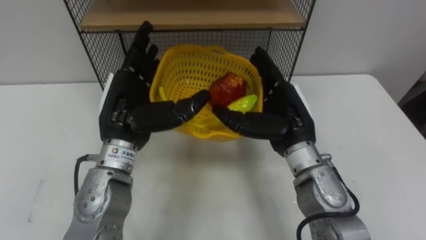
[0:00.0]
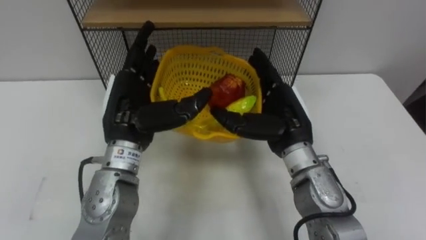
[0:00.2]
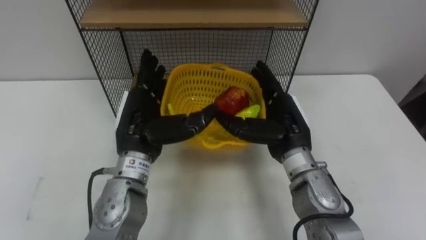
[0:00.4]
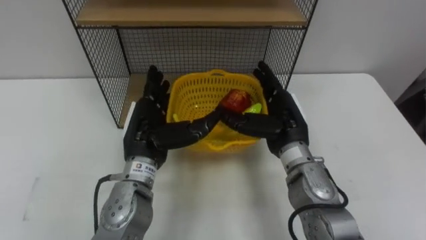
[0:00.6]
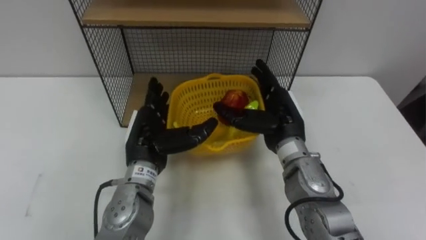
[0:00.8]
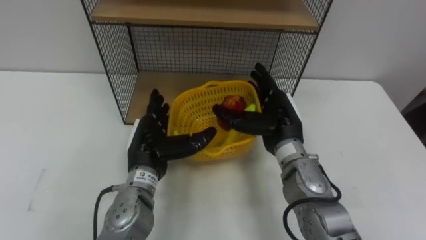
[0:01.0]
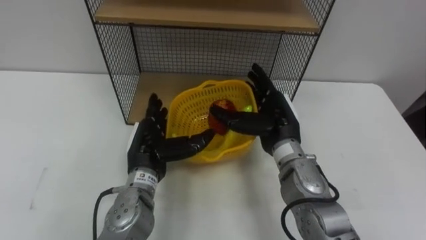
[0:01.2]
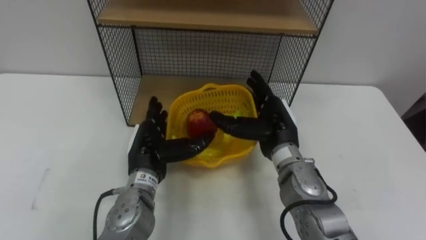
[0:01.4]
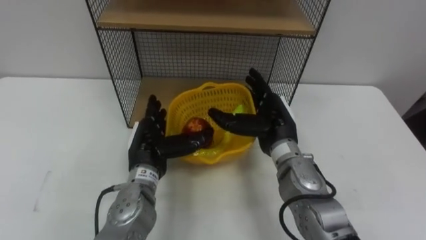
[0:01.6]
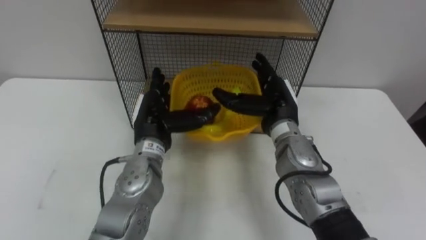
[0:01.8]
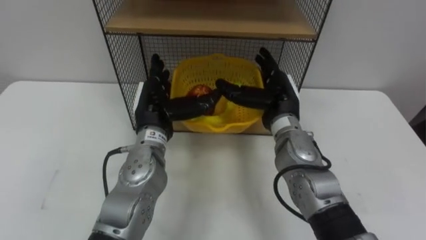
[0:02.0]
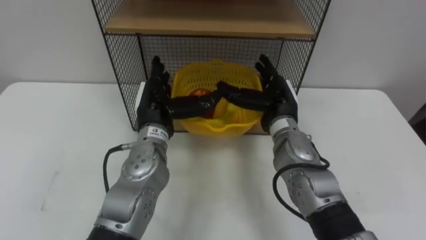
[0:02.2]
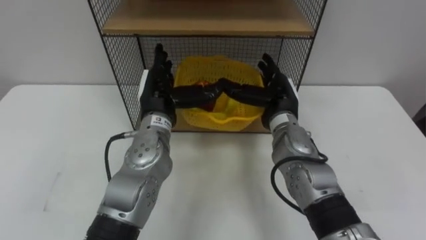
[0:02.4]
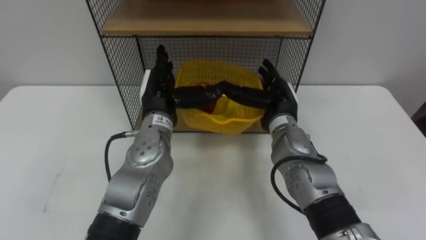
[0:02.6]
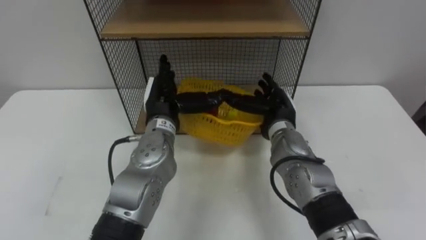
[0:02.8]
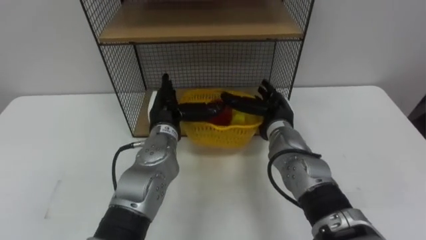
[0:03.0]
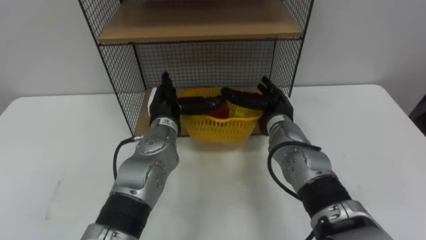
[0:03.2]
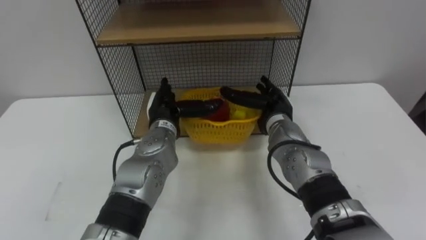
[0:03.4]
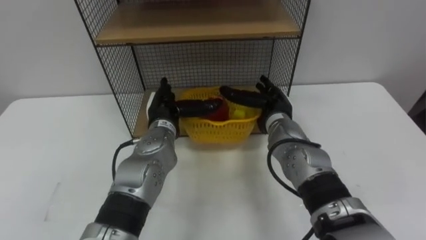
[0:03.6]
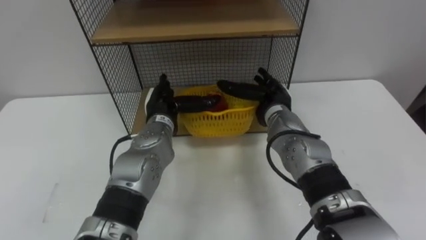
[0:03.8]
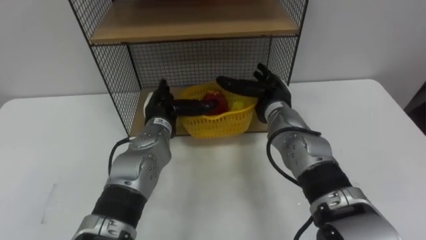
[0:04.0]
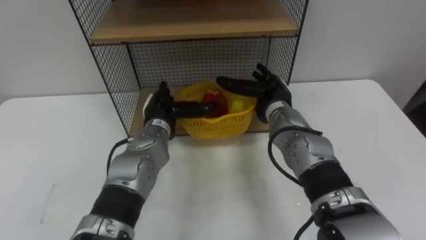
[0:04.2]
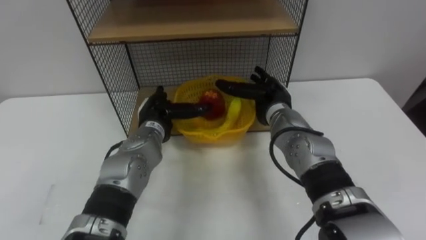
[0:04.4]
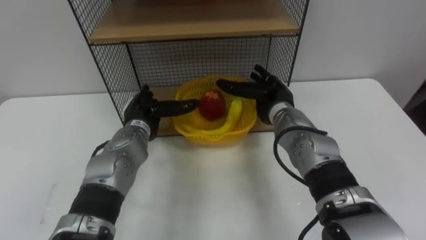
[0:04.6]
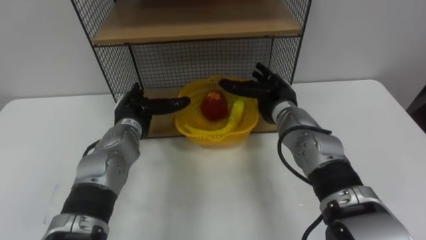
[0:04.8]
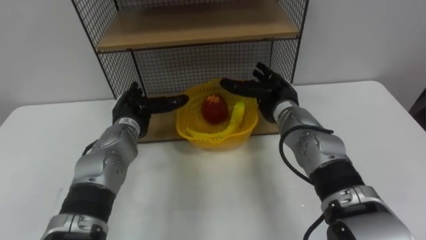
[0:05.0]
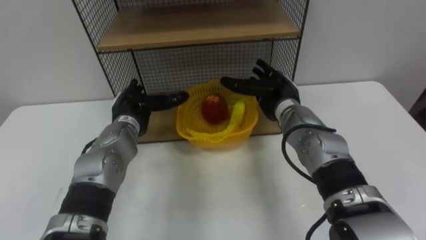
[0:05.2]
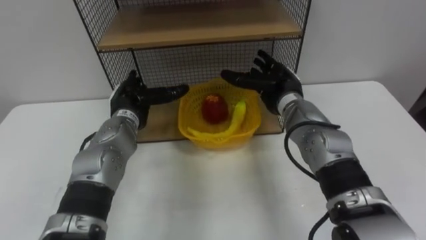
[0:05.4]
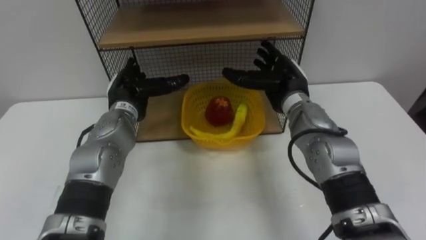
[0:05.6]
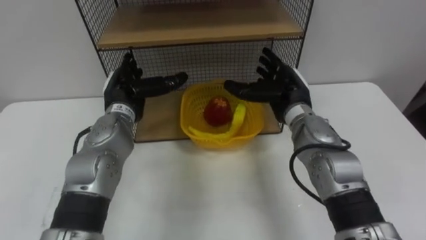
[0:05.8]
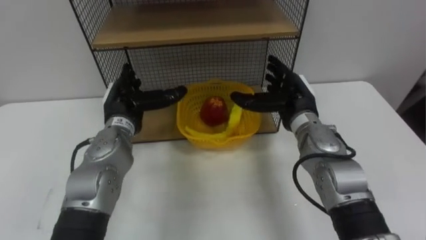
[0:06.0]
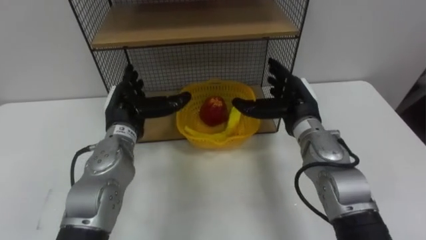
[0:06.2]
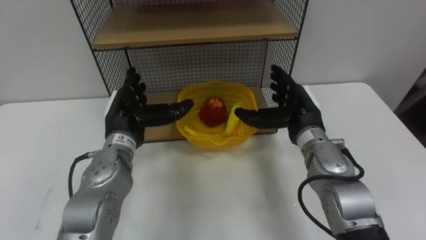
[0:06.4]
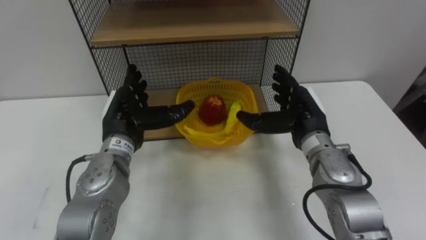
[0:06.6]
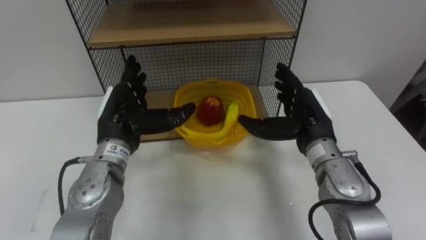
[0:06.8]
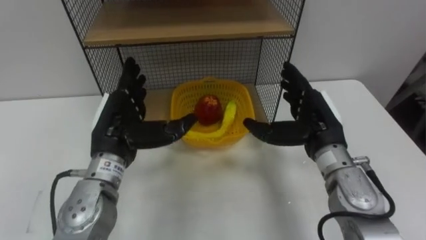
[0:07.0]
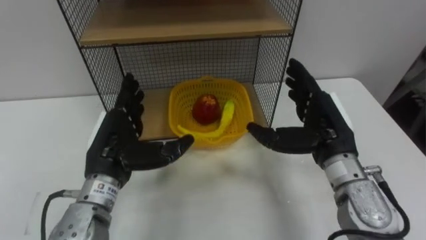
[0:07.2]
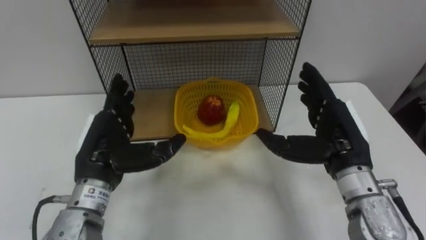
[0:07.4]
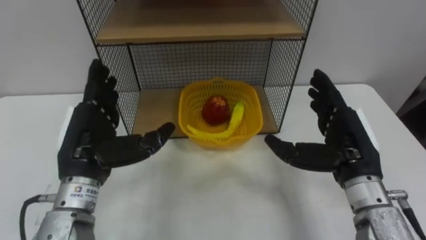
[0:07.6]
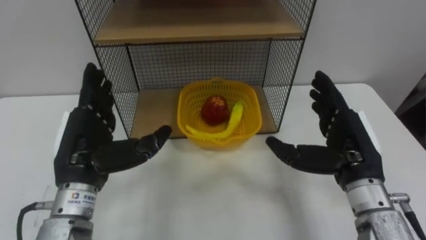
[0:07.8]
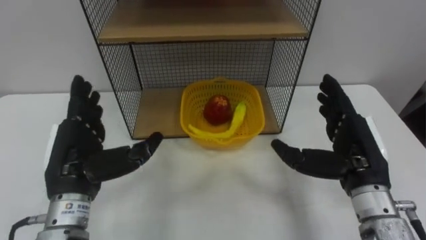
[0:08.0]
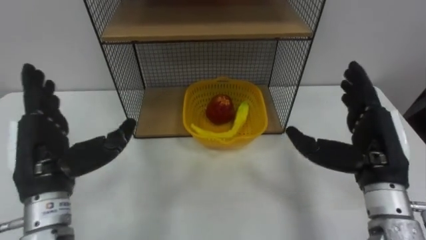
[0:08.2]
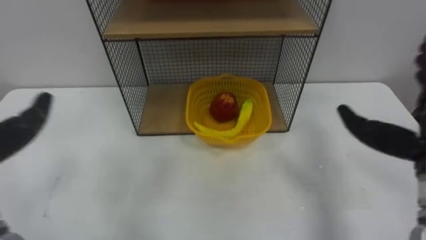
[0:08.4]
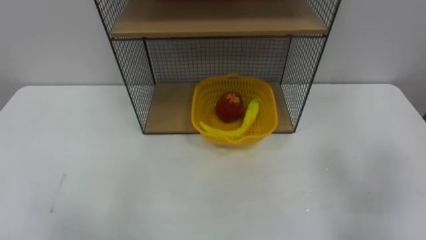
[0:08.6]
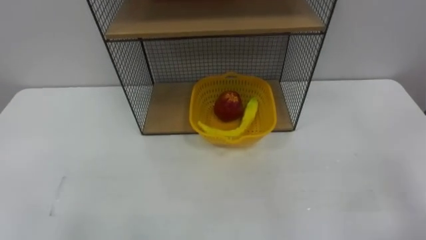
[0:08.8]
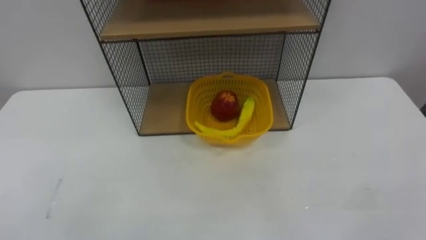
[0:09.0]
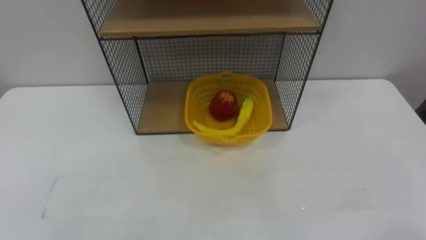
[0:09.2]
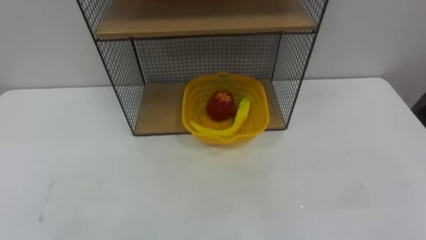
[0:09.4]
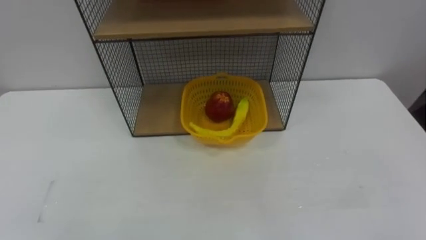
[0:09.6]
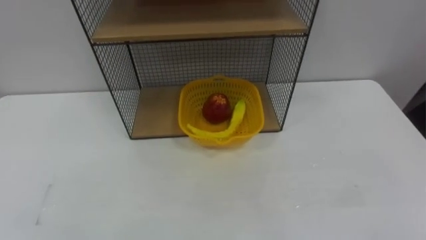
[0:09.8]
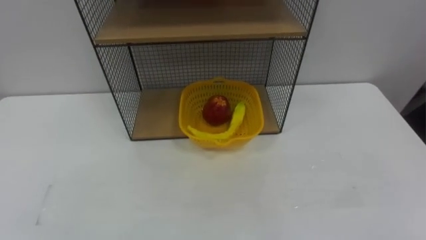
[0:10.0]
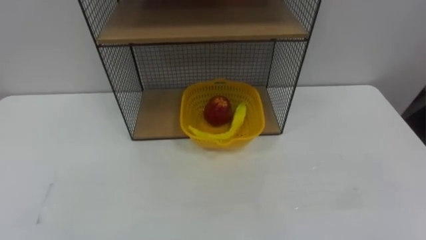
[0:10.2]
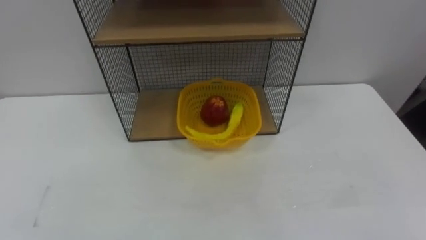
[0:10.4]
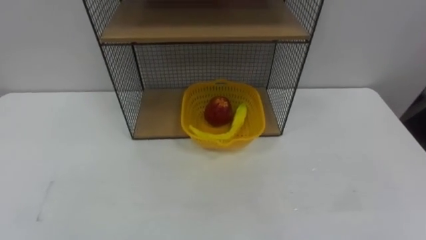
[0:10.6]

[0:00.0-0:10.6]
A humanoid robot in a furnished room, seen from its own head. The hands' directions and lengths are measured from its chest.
Task of the whole recording: Put the fruit on the table into the basket, then place the basket on the shelf.
0:00.0 to 0:01.6: The right hand changes place by roughly 5 cm. The left hand travels downward by roughly 10 cm.
0:01.6 to 0:03.0: The right hand moves approximately 5 cm; the left hand shifts some 5 cm forward.
0:03.0 to 0:04.6: The left hand ends up about 5 cm from where it was.
0:04.6 to 0:06.0: The right hand moves approximately 5 cm, while the left hand changes place by about 5 cm.
0:06.0 to 0:07.6: The right hand moves backward and to the right, about 15 cm. Meanwhile the left hand goes about 10 cm backward.

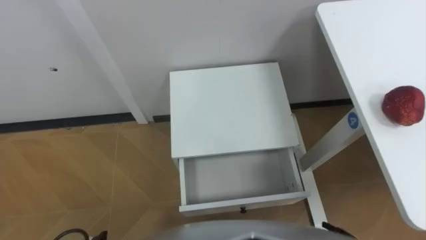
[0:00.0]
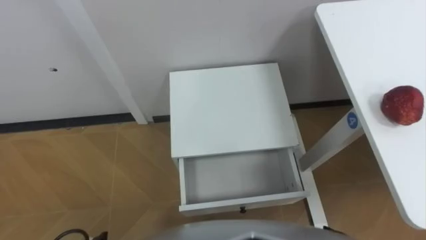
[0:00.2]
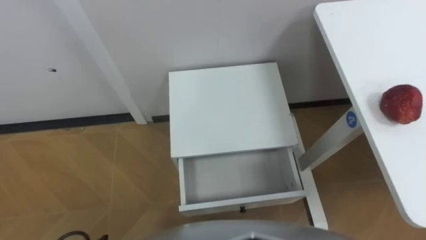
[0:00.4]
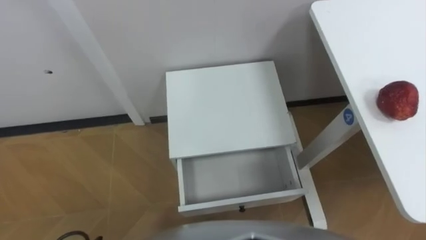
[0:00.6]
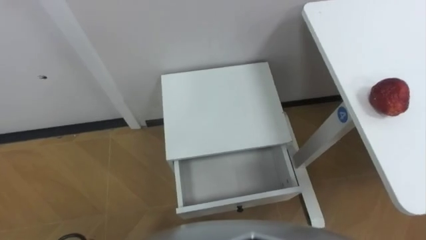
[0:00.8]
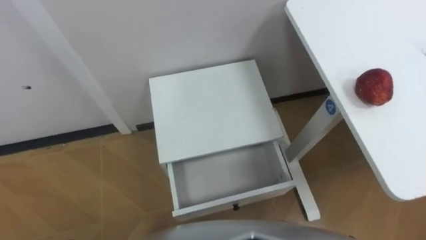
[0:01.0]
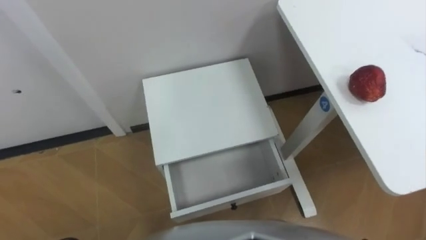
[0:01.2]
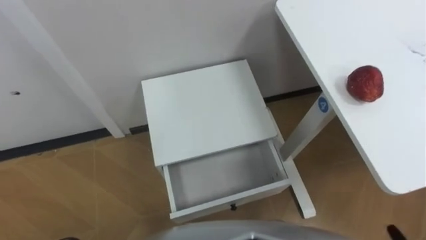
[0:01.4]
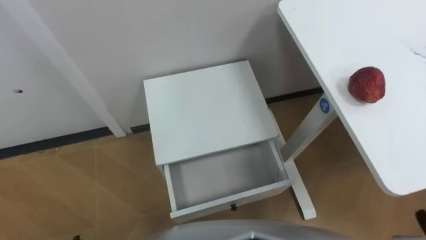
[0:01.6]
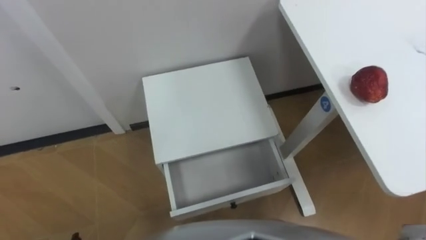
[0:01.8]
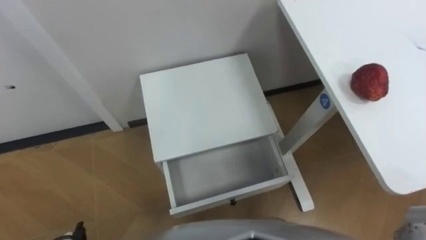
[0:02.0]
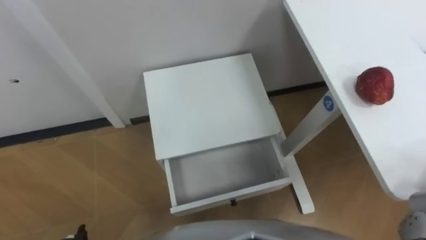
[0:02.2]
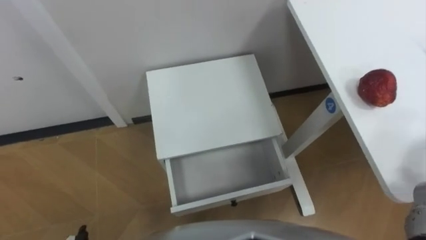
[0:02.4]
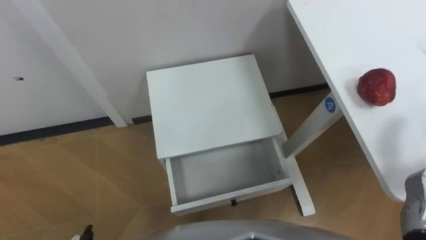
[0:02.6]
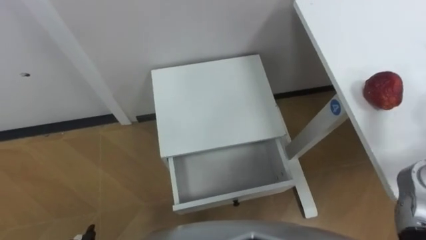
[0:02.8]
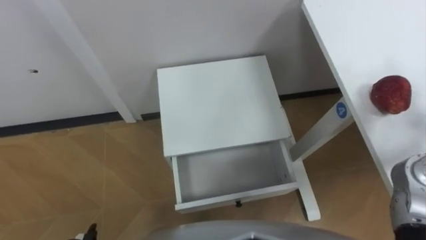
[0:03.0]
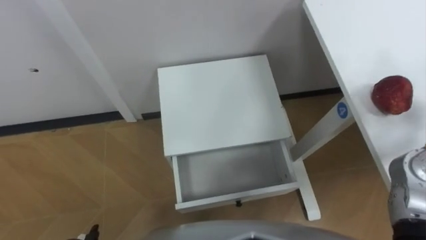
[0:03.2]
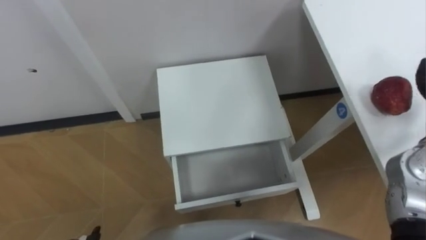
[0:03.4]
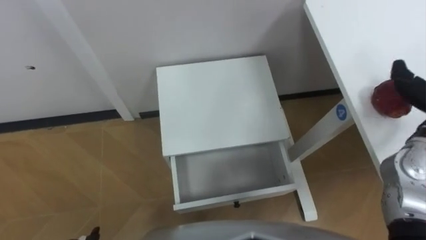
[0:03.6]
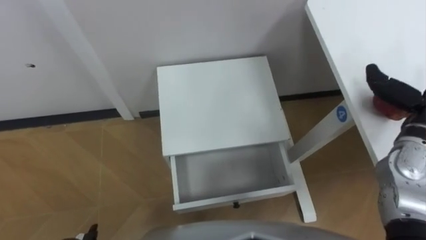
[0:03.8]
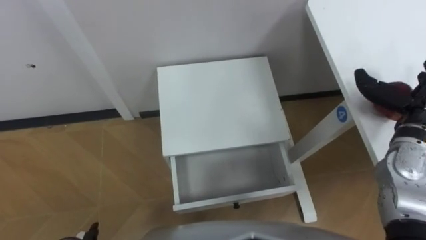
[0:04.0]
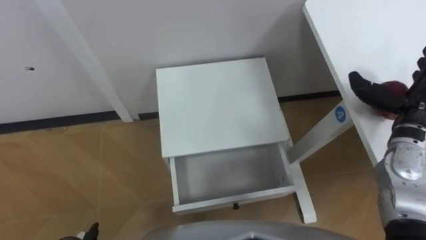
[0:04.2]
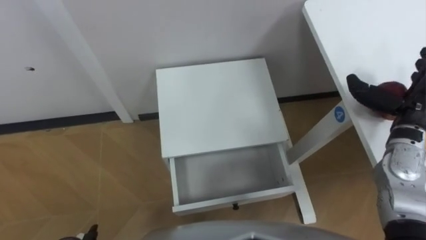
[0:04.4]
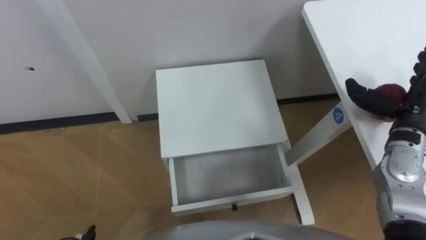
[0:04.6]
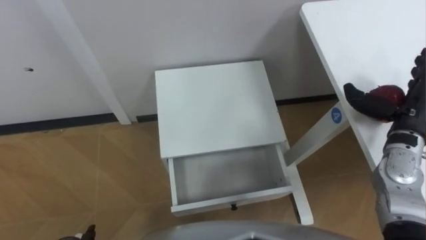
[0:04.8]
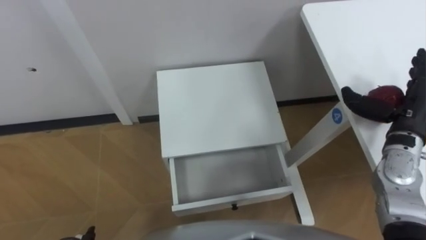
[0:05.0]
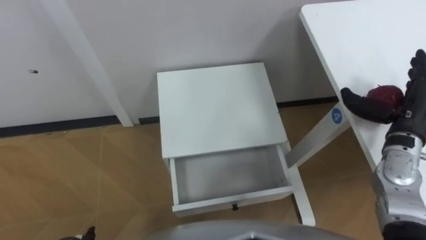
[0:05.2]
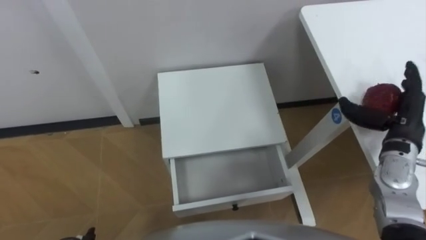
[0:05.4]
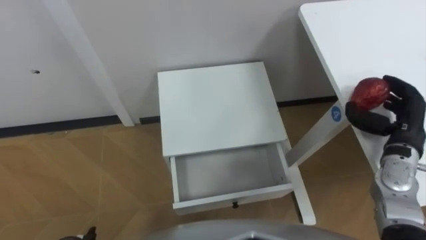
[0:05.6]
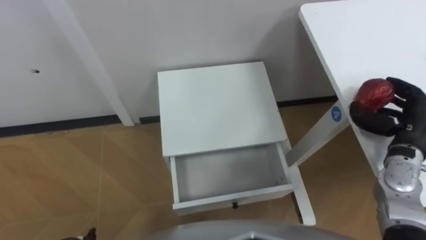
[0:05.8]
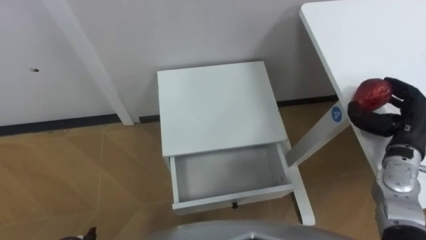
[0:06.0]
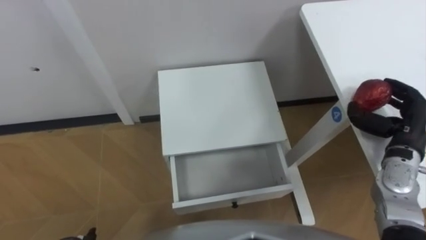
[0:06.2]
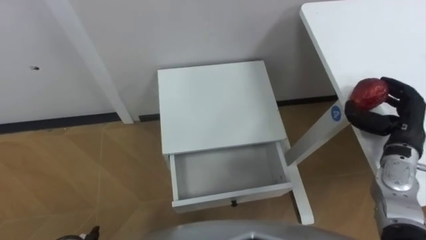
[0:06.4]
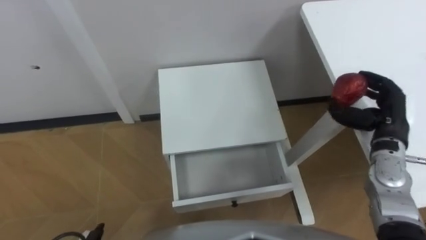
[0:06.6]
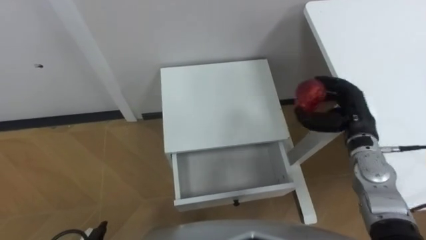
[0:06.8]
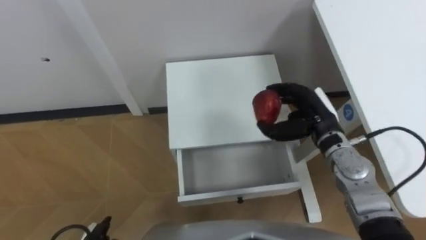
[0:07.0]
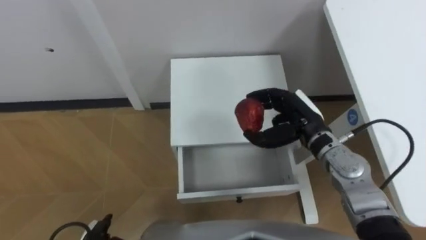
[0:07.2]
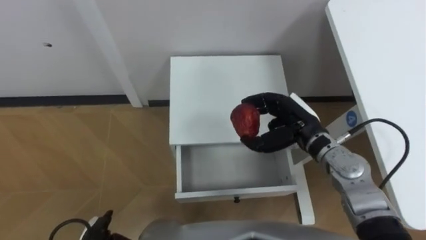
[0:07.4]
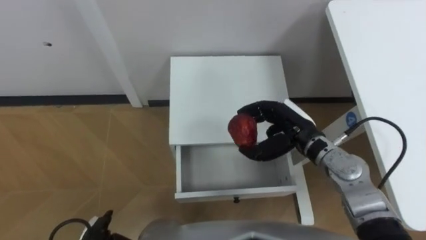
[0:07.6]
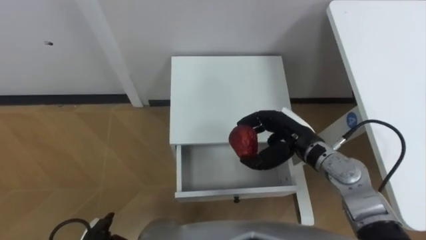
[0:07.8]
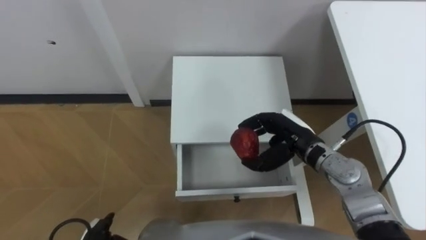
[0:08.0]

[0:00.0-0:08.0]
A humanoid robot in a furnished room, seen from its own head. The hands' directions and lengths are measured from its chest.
Task of the whole recording: Pick up the apple from the table, put it in the drawer, and close the drawer with leg.
0:04.8 to 0:06.4: The right hand closes up.
0:06.4 to 0:08.0: The right hand shifts some 20 cm to the left.
